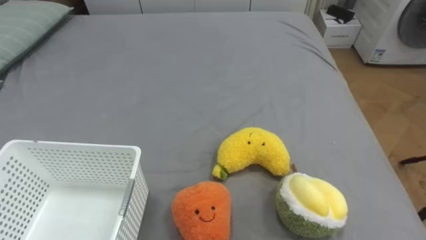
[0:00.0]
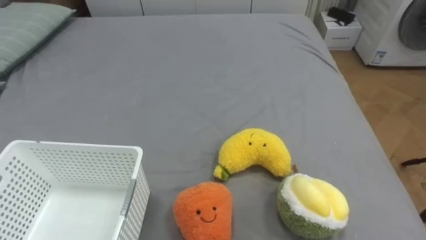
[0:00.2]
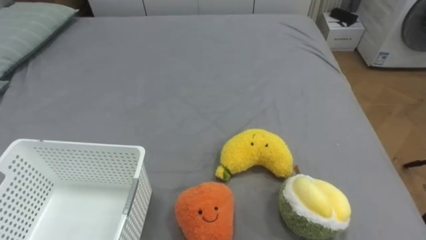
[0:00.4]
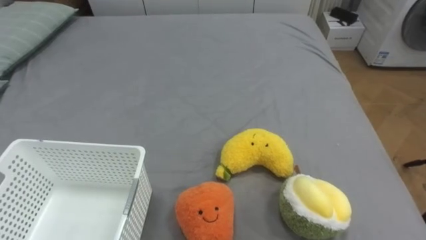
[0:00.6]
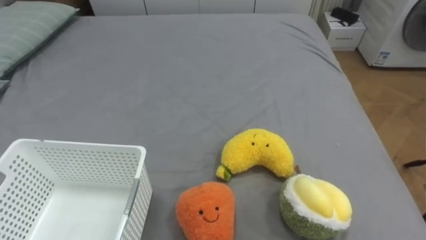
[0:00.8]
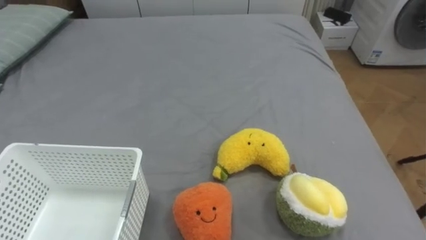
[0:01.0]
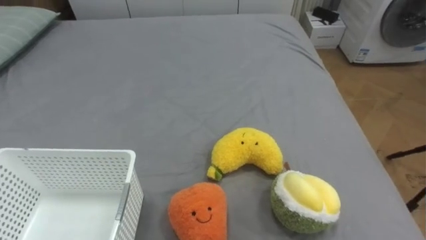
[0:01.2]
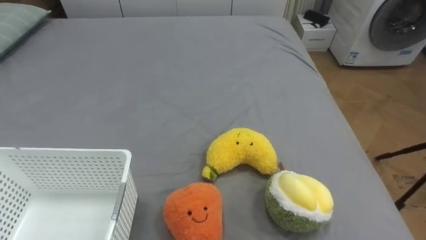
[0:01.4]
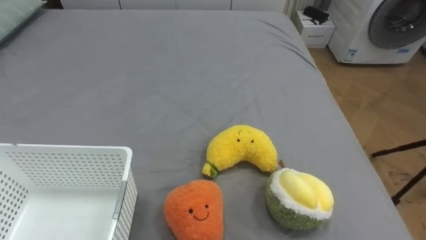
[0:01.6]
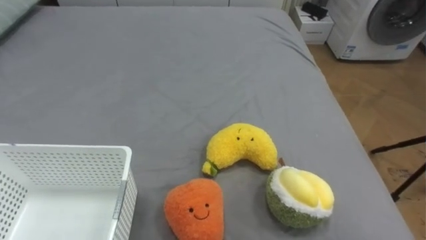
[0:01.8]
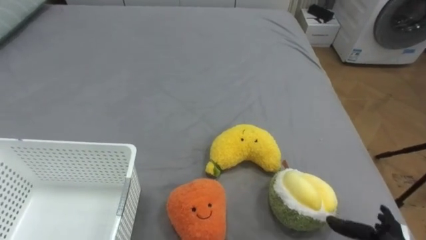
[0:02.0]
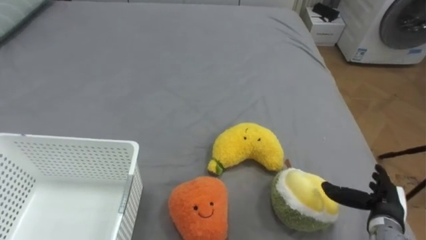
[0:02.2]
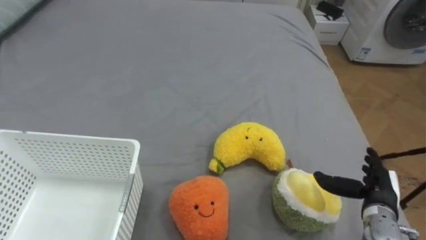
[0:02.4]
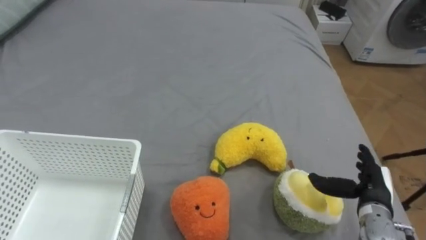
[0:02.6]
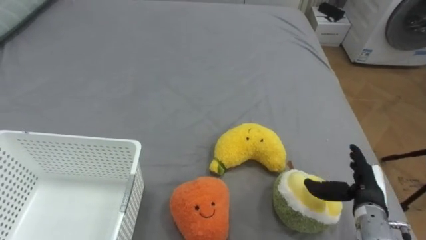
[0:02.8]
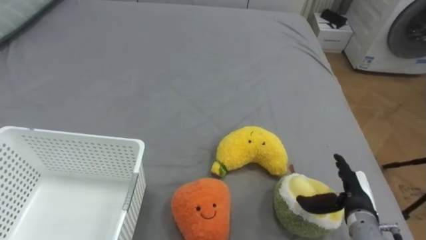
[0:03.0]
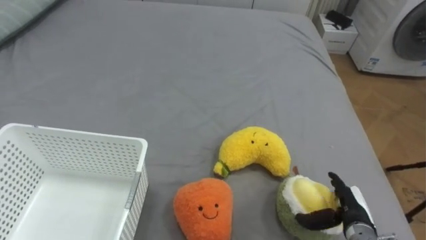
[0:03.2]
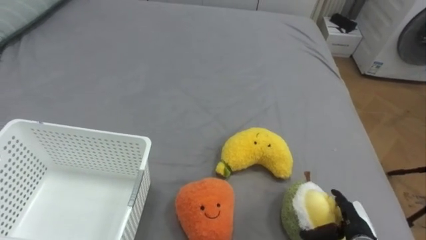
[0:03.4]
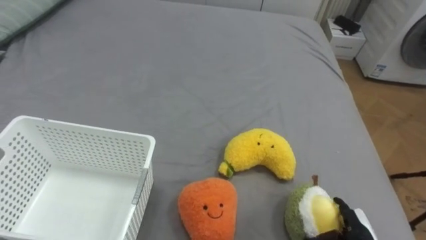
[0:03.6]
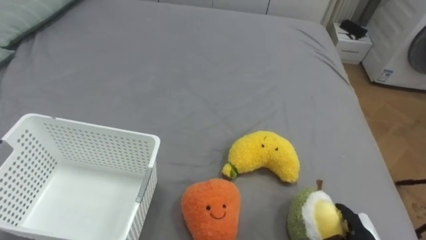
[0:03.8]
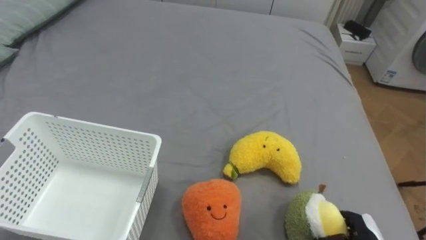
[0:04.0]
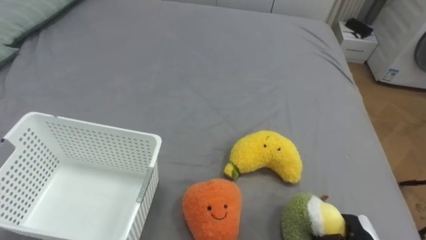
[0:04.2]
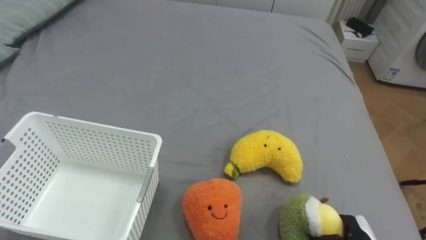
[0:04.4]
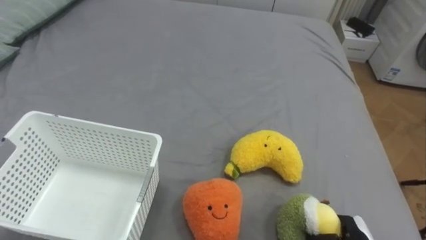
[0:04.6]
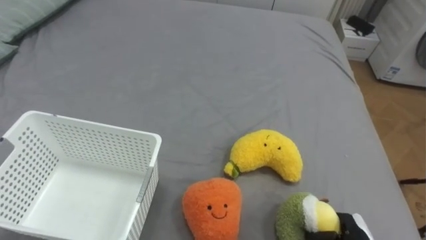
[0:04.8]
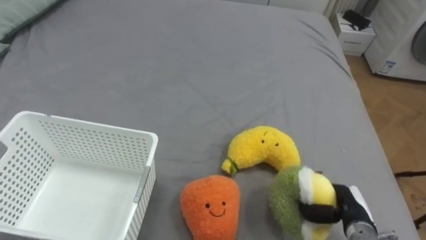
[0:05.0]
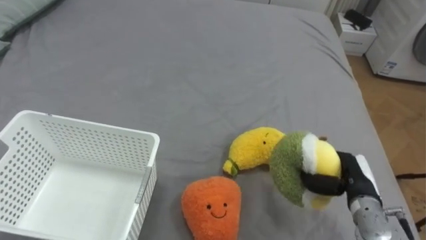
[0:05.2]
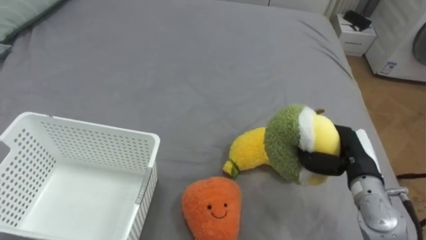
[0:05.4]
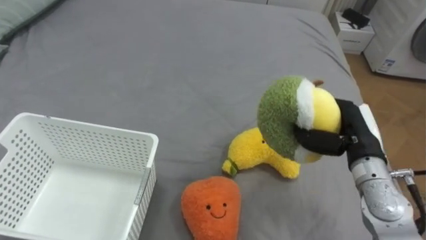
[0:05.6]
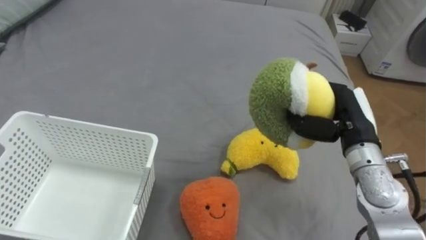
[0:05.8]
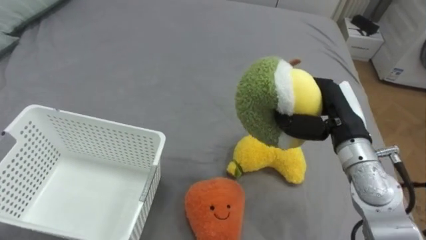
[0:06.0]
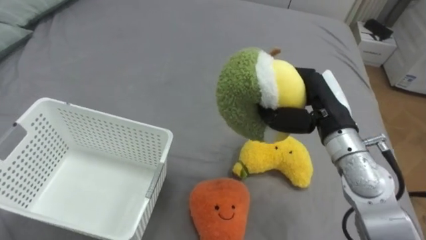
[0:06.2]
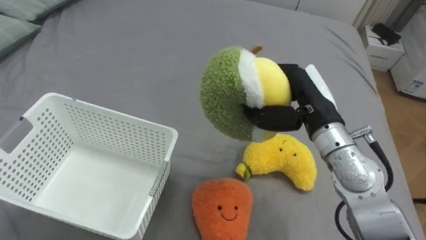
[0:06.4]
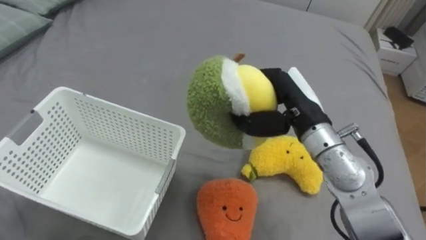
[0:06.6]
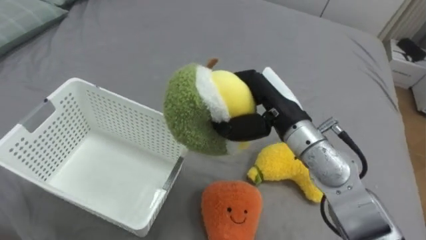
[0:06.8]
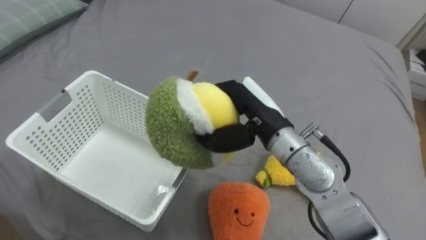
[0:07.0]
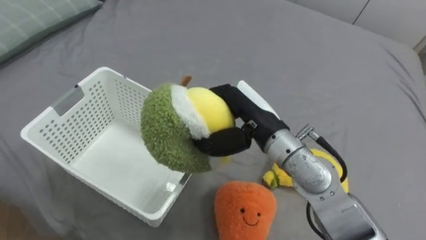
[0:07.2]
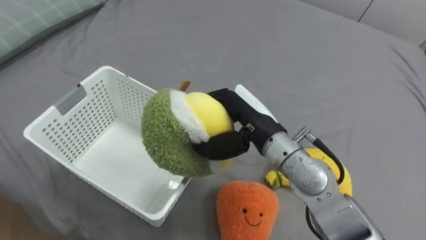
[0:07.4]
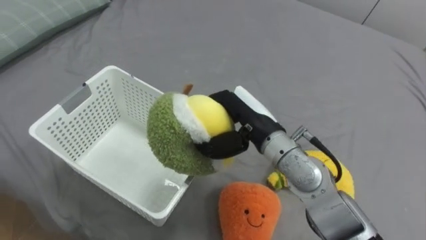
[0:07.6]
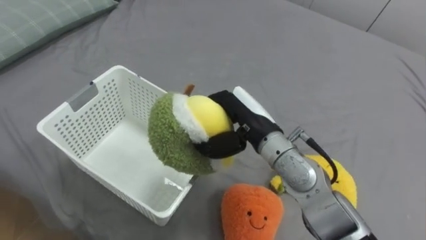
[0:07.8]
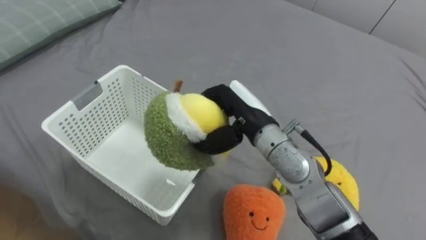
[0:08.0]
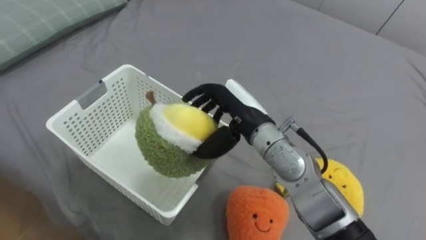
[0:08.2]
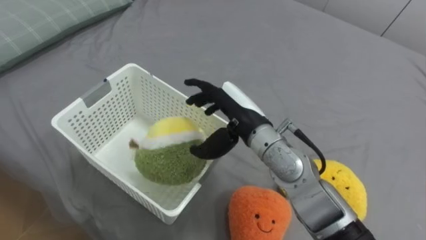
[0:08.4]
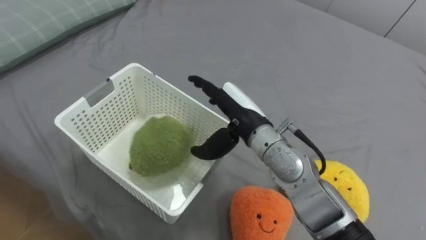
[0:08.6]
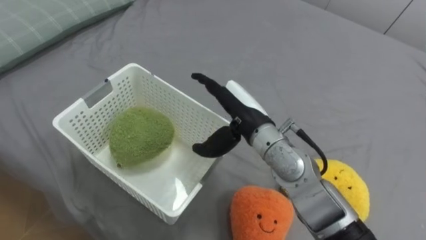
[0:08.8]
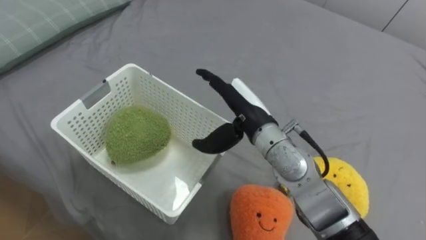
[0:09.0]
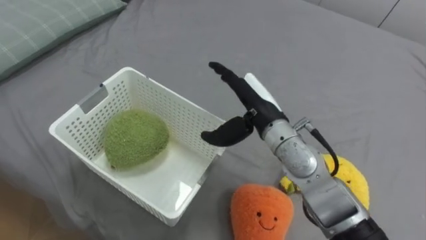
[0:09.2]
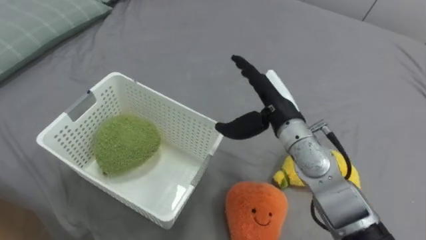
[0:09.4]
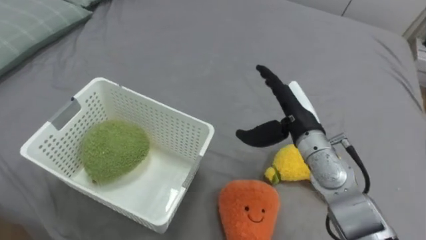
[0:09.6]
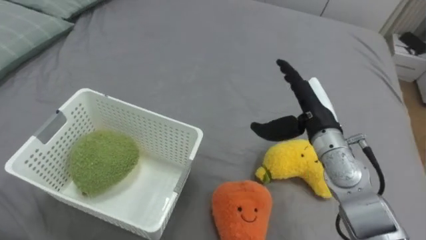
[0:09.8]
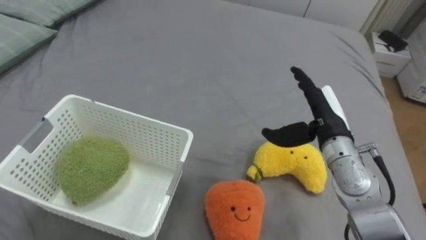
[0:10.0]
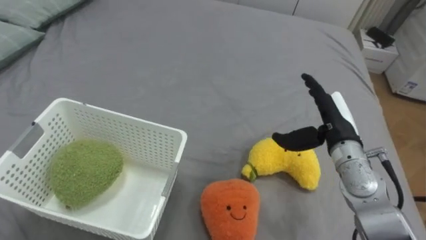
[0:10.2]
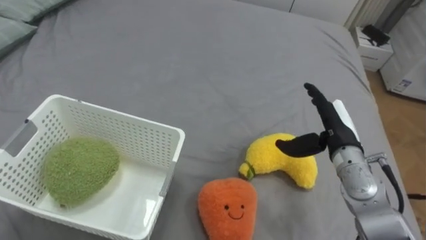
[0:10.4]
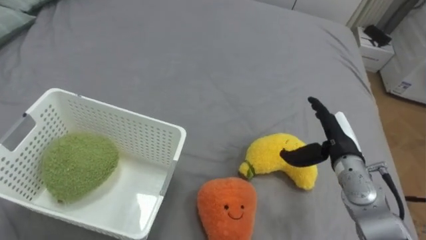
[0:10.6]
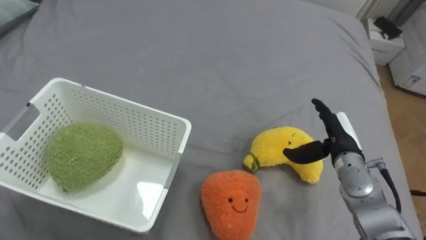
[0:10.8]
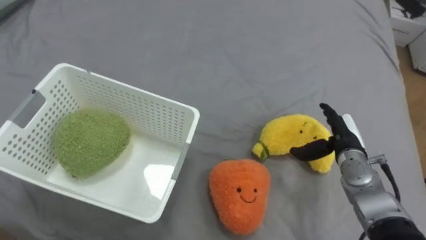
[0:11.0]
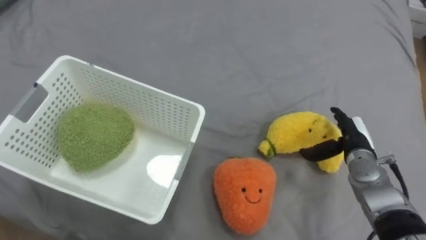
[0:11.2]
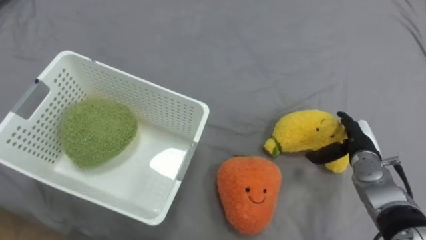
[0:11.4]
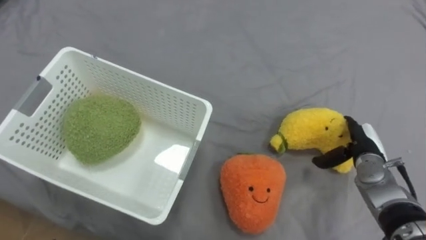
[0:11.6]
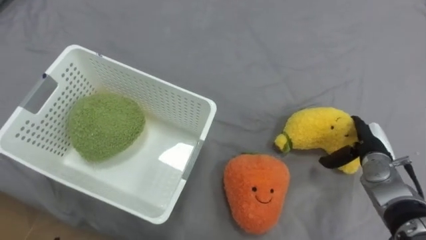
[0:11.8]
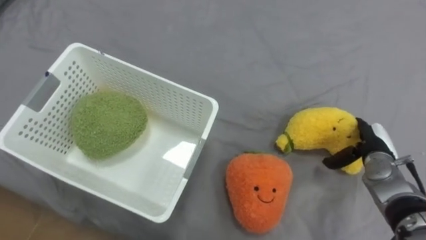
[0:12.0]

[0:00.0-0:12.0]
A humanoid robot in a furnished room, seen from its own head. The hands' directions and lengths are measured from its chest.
Task of the whole recording: Put the toys on the bed into the basket on the left.
0:03.0 to 0:04.4: The right hand is displaced downward and backward by some 10 cm, and closes its fingers.
0:04.4 to 0:06.0: The right hand is displaced upward and forward by approximately 30 cm.
0:06.0 to 0:07.6: The right hand heads to the left, covering approximately 15 cm.
0:07.6 to 0:09.0: The right hand opens.
0:09.0 to 0:10.4: The right hand goes approximately 15 cm to the right.
0:10.4 to 0:12.0: The right hand shifts some 15 cm to the right and downward.

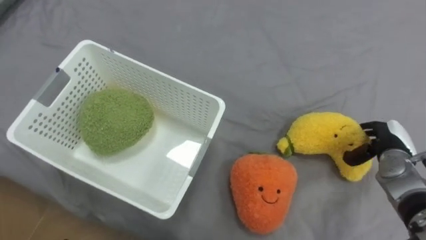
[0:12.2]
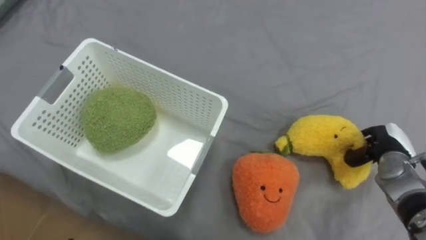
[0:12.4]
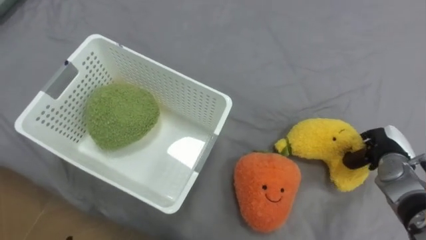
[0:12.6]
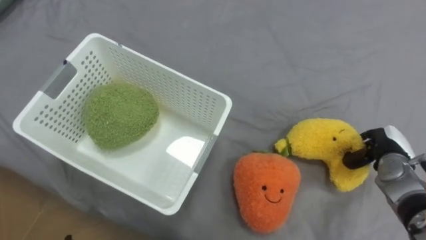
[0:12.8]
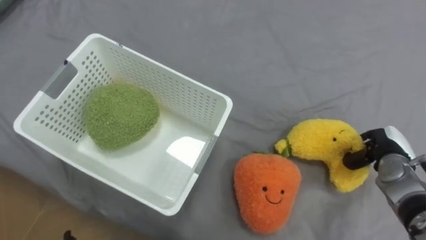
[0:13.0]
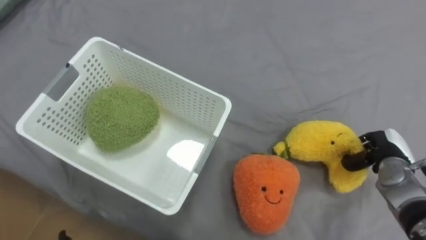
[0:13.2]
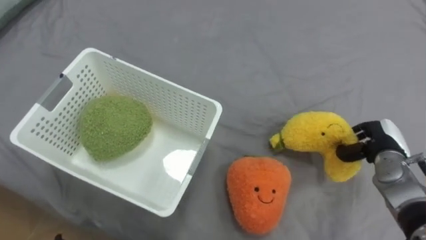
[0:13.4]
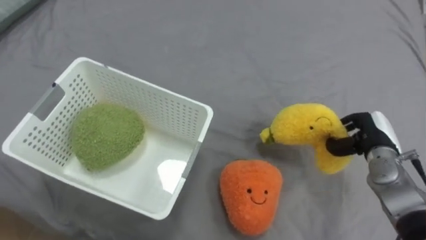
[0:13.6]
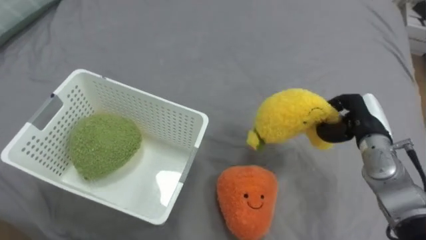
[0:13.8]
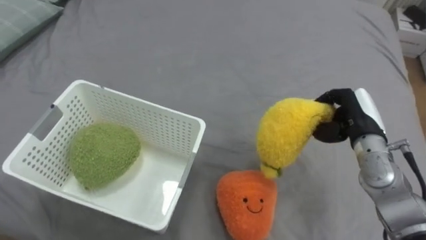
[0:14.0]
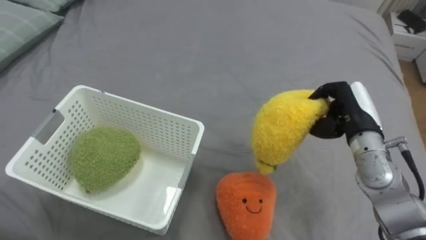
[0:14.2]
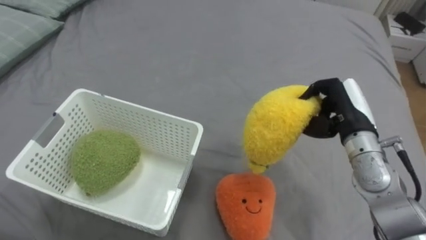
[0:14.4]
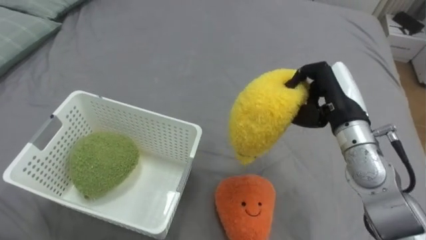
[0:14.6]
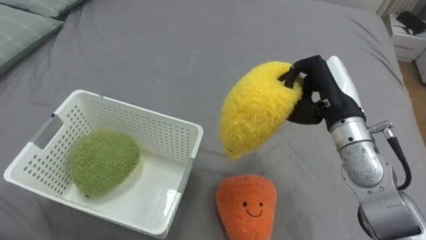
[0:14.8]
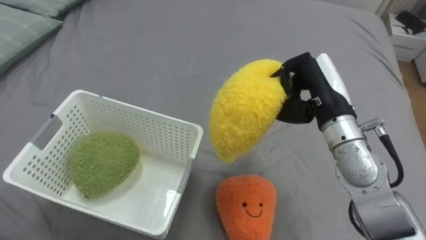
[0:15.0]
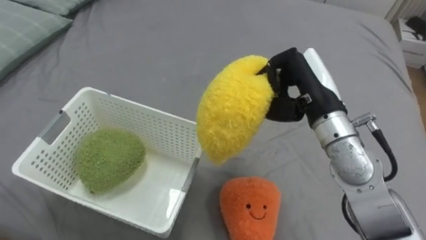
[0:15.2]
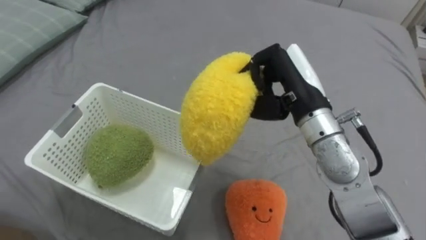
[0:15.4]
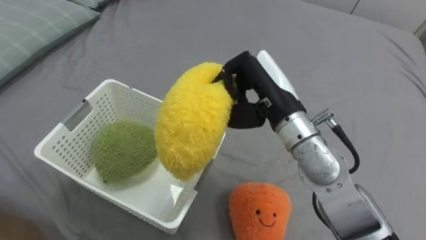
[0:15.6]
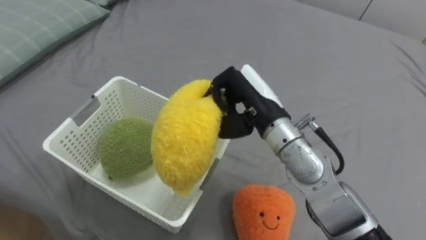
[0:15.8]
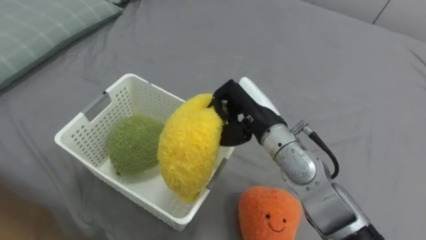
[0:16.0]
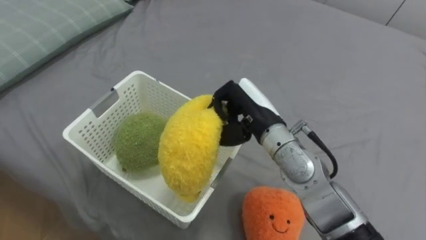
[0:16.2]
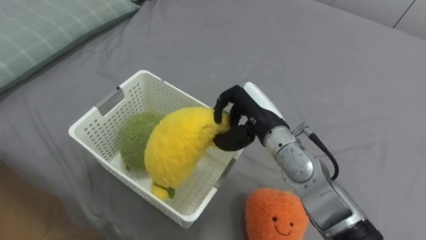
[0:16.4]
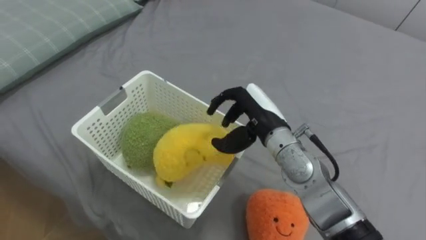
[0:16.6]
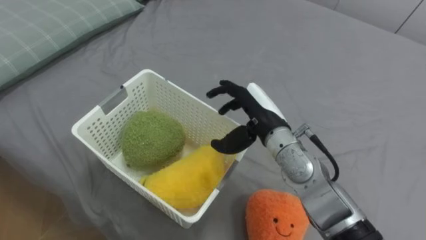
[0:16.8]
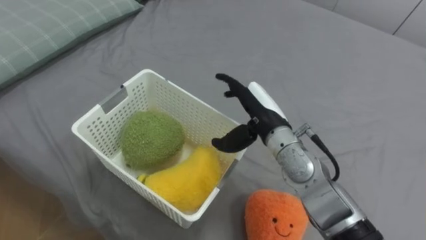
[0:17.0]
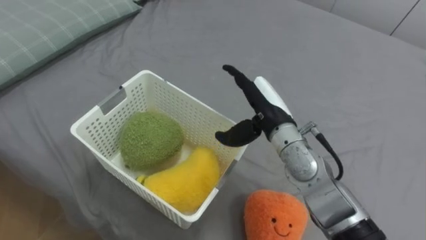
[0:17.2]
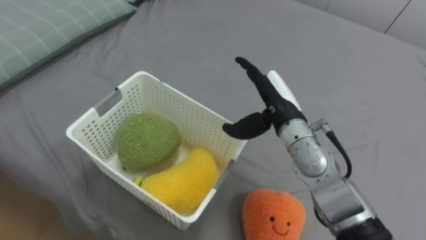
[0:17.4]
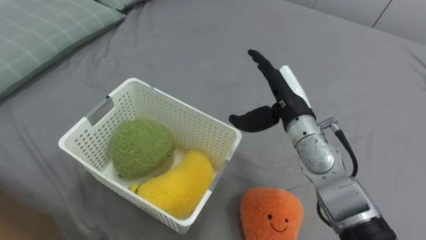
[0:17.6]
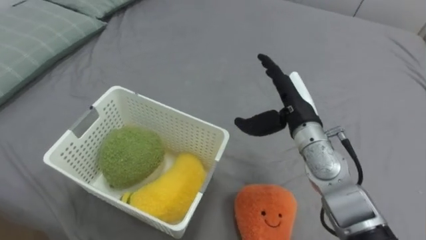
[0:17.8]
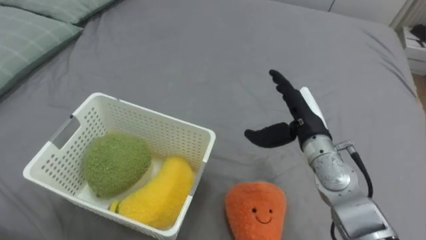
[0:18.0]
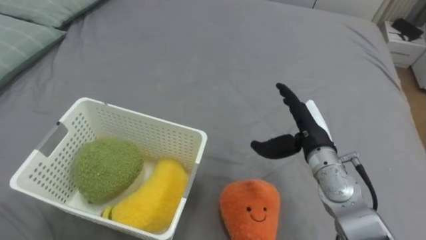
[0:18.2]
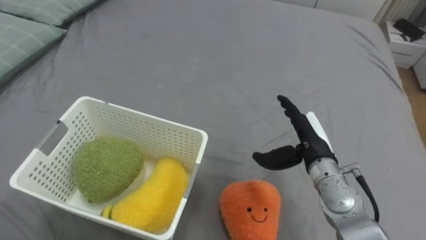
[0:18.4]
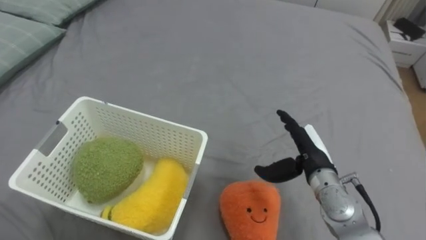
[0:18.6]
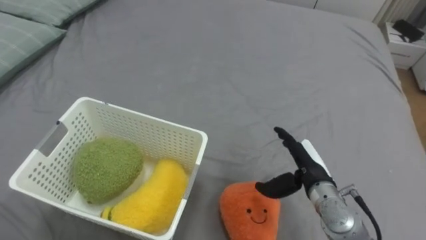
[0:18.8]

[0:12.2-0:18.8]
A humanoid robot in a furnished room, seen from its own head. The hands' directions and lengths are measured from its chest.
Task of the whole recording: Put the toys on the bed into the basket on the left.
0:12.2 to 0:13.8: The right hand shifts roughly 5 cm upward, and closes its fingers.
0:13.8 to 0:15.4: The right hand is displaced to the left and upward by about 20 cm.
0:15.4 to 0:17.2: The right hand moves downward, roughly 10 cm, and opens.
0:17.2 to 0:18.8: The right hand moves to the right, downward and backward, some 15 cm.
